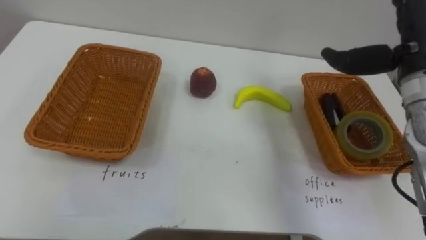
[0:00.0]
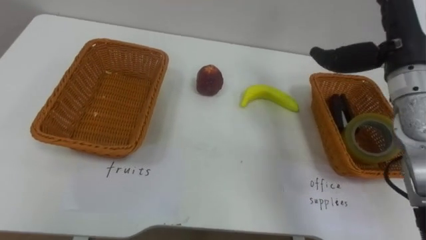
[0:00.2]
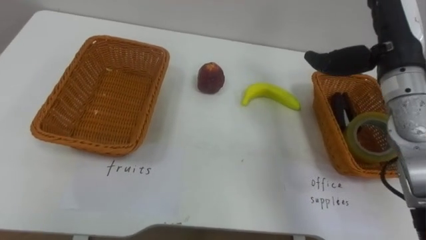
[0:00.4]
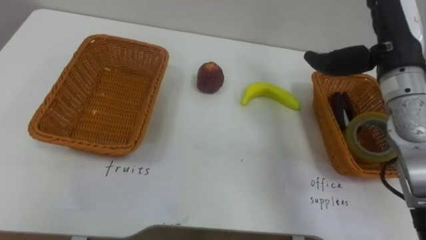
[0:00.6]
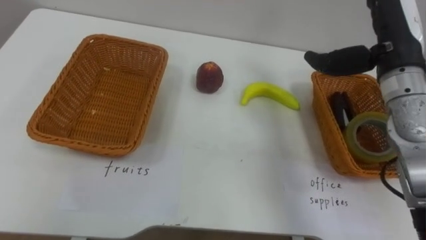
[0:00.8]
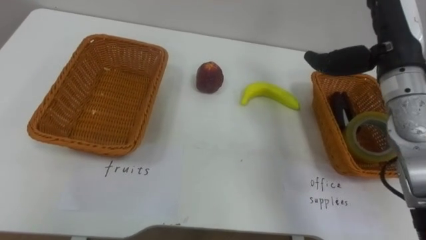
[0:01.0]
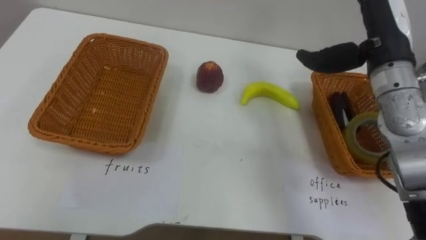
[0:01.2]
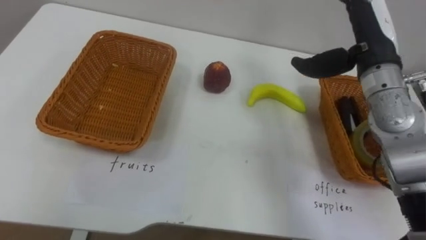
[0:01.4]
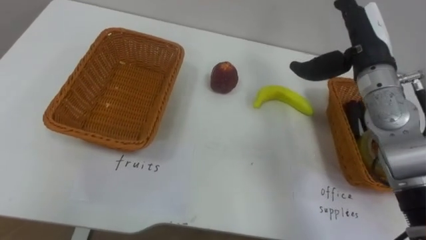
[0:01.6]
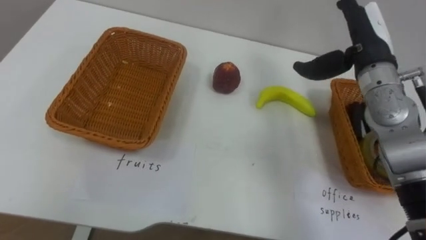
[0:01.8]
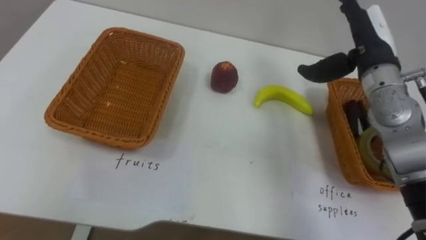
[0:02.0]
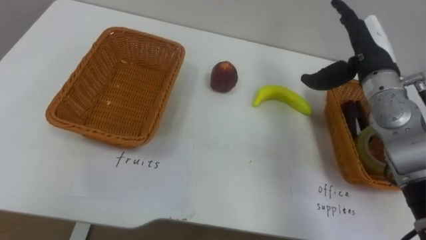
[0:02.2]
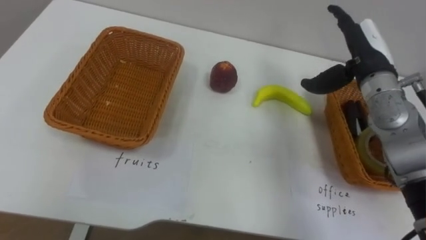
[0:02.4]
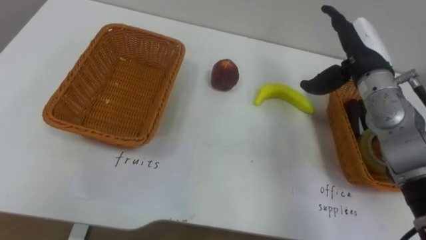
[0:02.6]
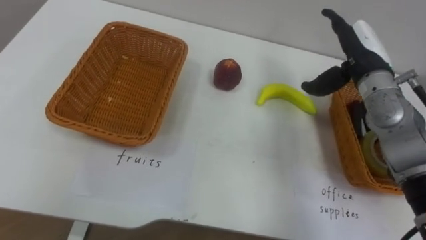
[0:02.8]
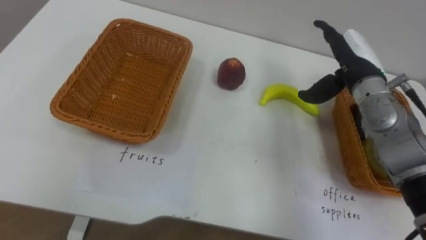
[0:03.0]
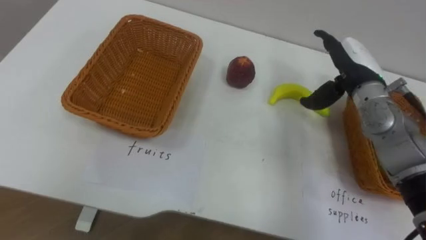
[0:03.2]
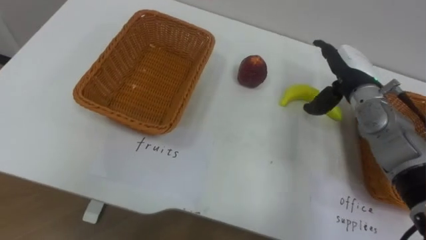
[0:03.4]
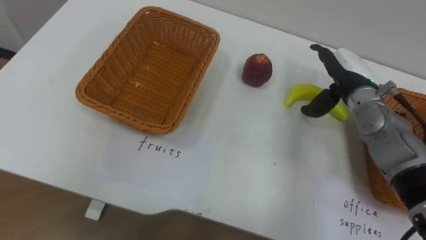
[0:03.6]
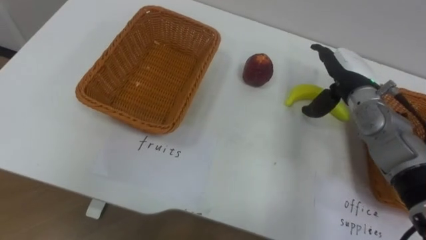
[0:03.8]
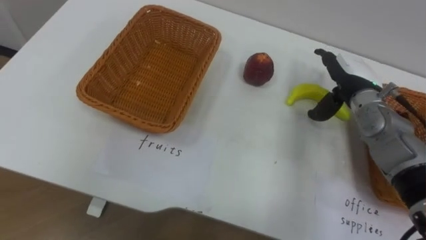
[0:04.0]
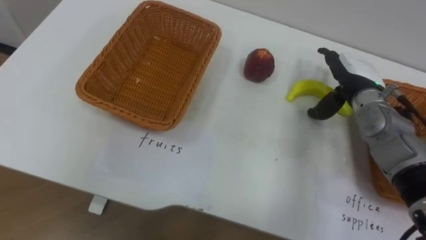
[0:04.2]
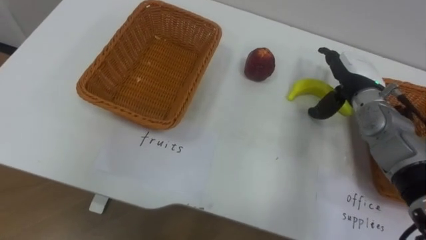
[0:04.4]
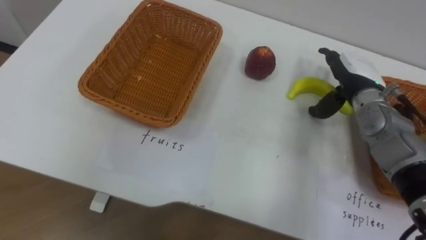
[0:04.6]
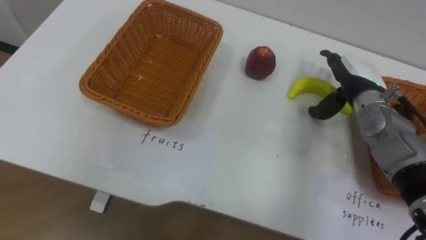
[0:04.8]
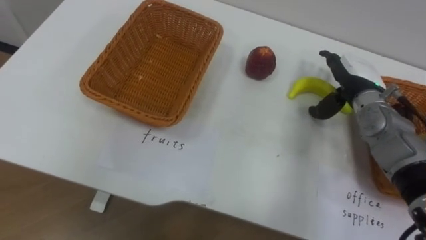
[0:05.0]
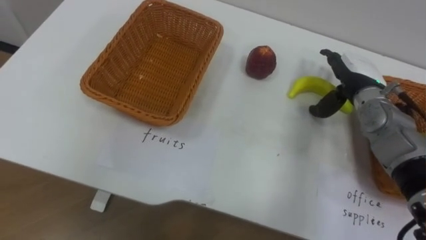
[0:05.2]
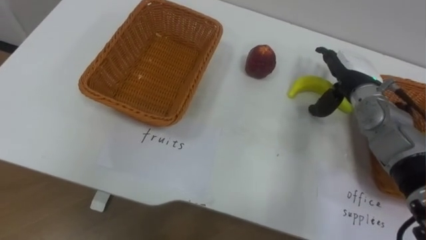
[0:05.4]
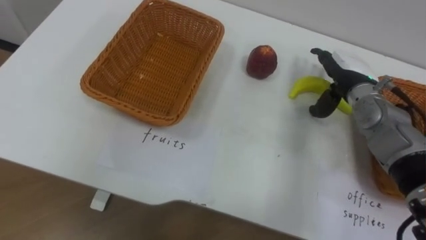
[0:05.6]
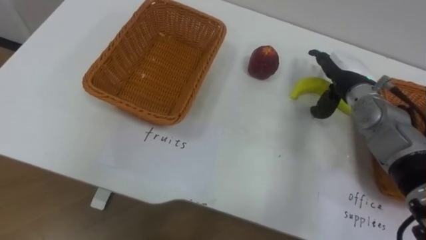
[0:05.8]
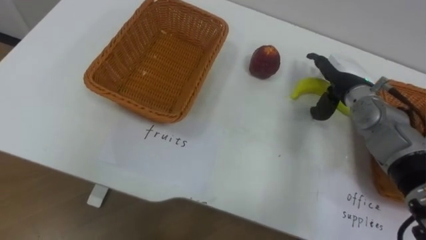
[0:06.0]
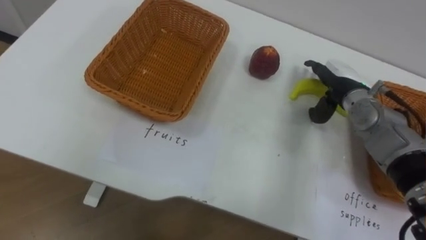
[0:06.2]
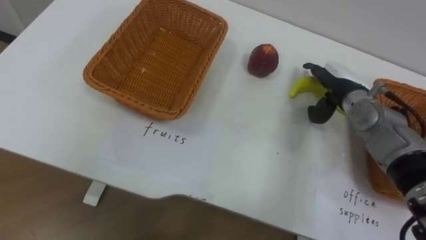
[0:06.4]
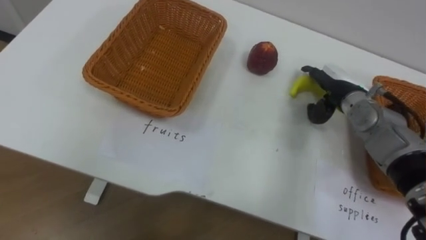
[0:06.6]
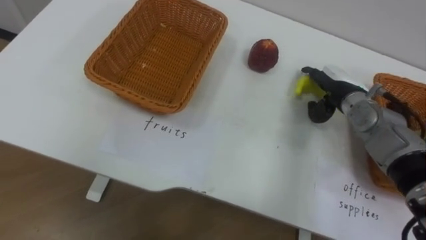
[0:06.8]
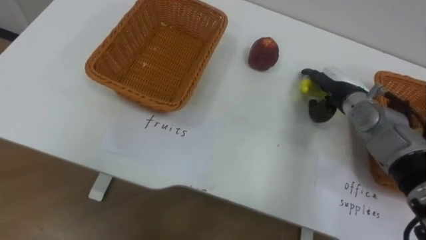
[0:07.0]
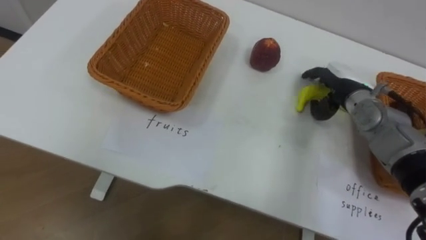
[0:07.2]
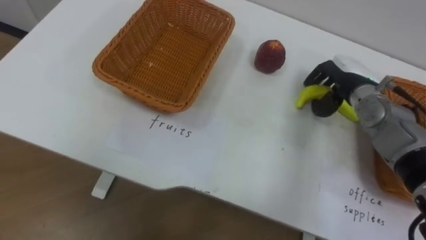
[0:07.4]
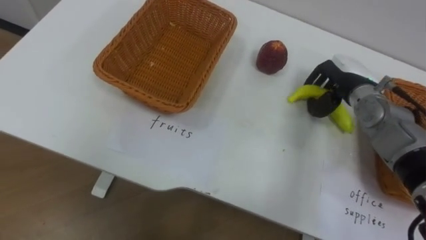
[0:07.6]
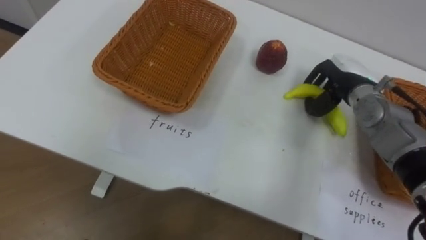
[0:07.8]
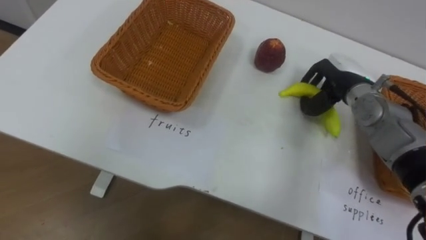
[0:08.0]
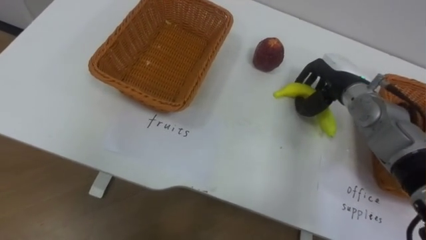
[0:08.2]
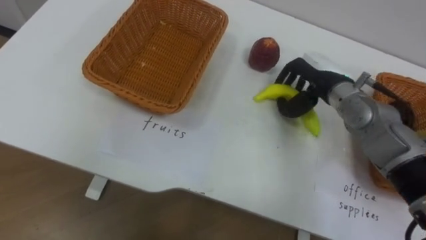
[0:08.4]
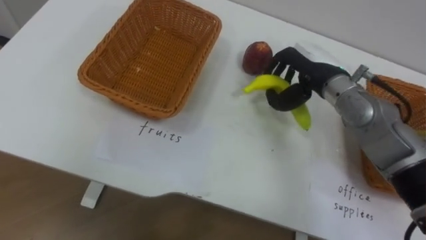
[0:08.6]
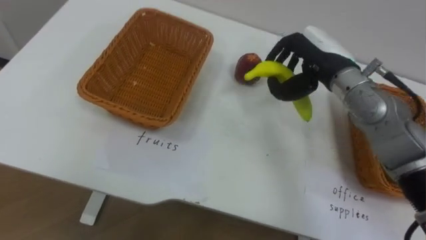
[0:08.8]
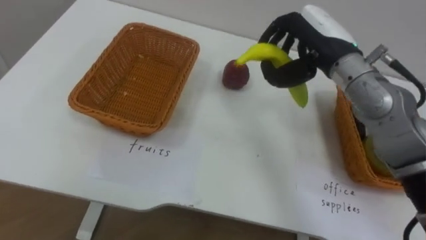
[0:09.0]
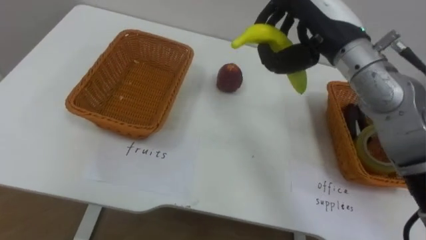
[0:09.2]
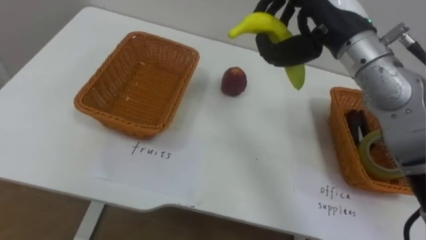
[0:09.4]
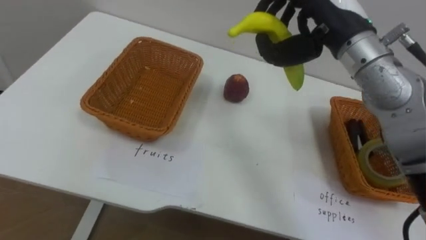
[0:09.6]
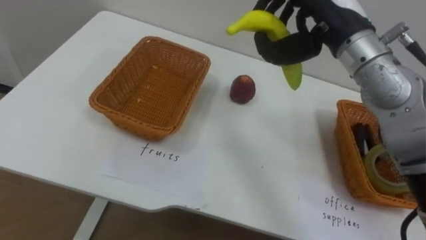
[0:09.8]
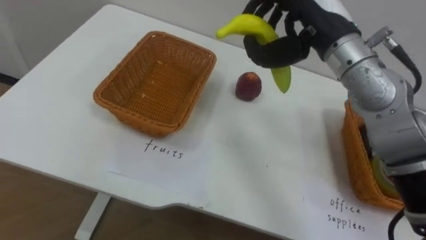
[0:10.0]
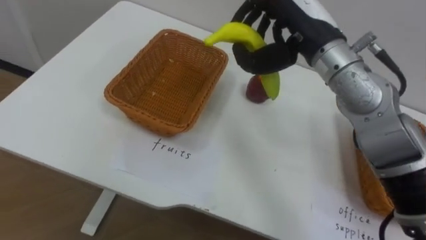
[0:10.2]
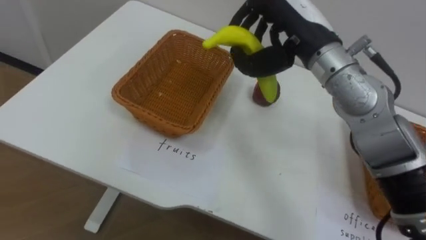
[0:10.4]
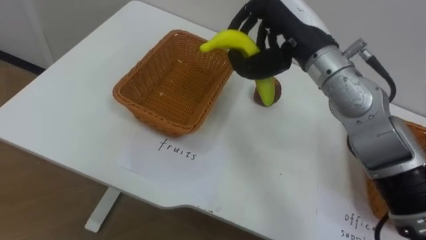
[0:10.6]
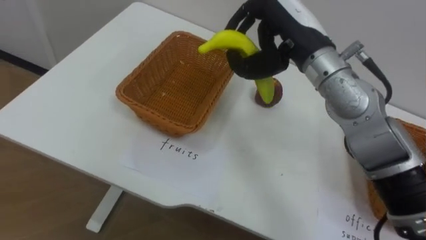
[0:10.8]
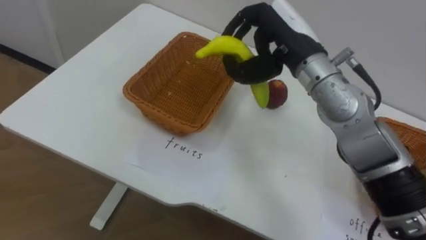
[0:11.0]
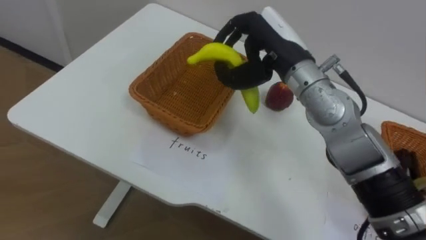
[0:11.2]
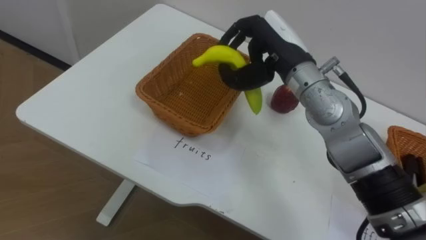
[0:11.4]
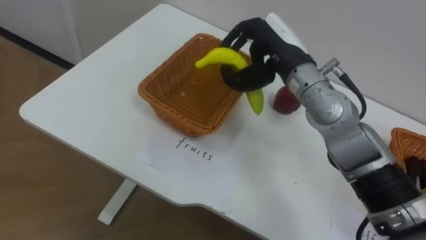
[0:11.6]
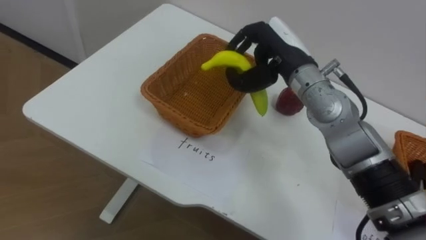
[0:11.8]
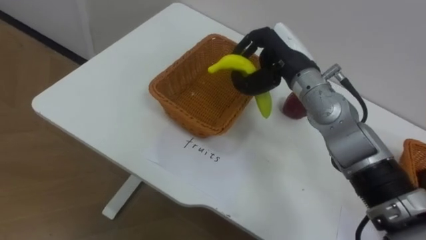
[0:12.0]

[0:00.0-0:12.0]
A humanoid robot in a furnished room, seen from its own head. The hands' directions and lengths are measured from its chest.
Task of the whole recording: Separate the items on the table and place them into the two baskets.
0:00.0 to 0:01.6: The right hand shifts by some 5 cm.
0:01.6 to 0:03.0: The right hand moves about 5 cm.
0:06.0 to 0:07.6: The right hand closes.
0:07.6 to 0:09.0: The right hand travels upward and to the left by some 15 cm.
0:09.0 to 0:10.4: The right hand ends up some 5 cm from where it was.
0:10.4 to 0:12.0: The right hand travels downward by about 5 cm.

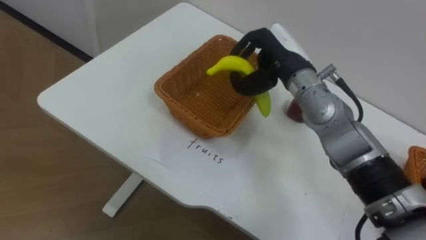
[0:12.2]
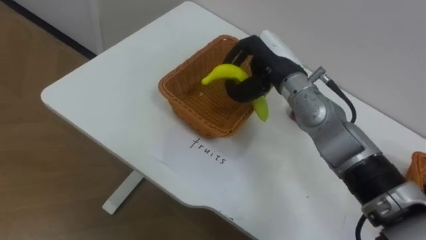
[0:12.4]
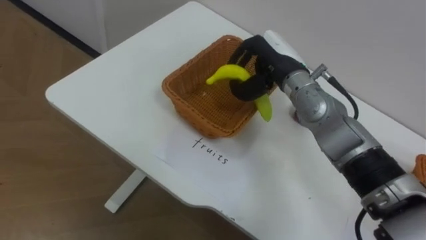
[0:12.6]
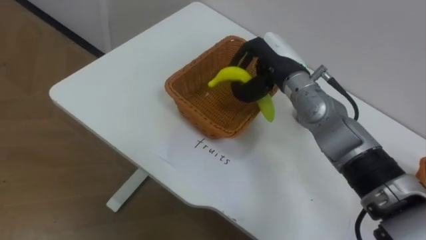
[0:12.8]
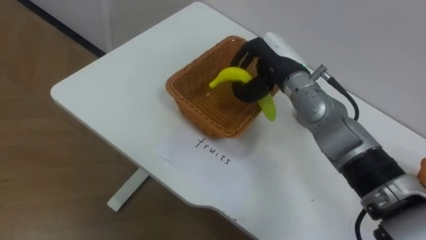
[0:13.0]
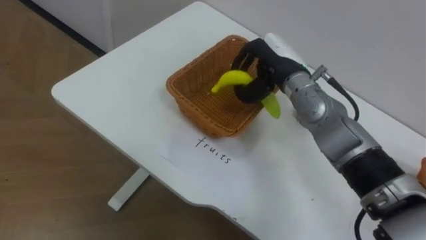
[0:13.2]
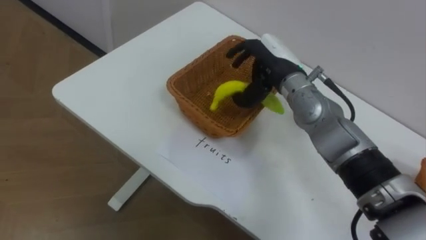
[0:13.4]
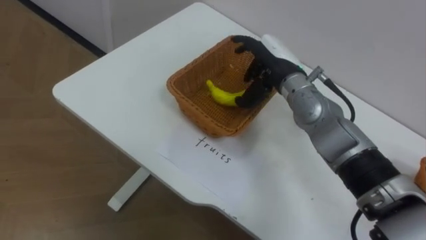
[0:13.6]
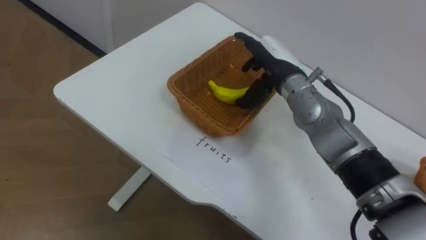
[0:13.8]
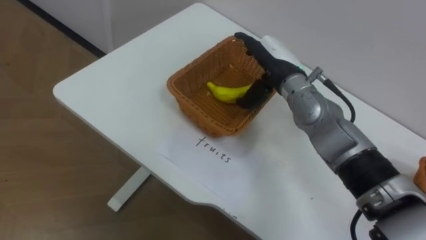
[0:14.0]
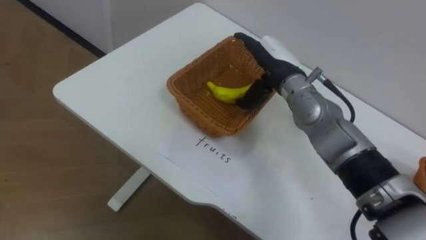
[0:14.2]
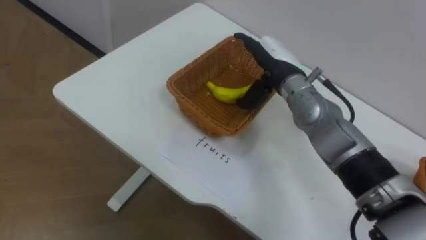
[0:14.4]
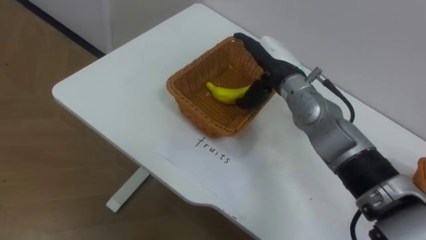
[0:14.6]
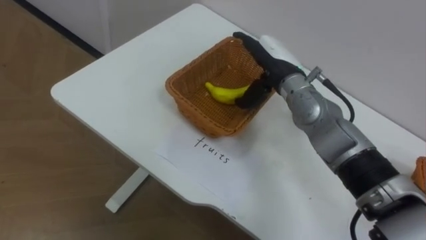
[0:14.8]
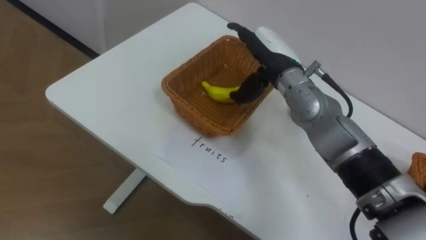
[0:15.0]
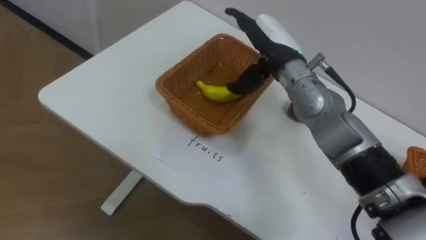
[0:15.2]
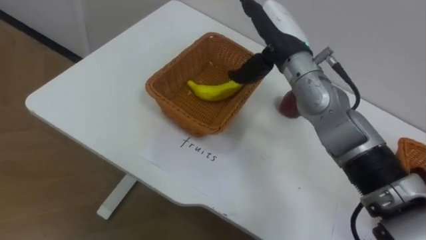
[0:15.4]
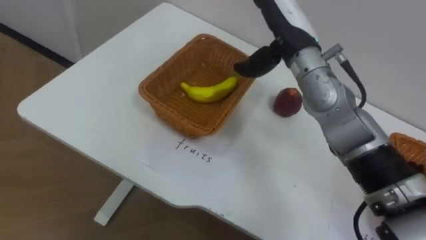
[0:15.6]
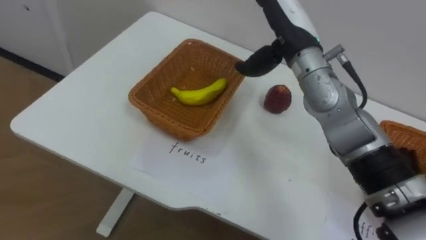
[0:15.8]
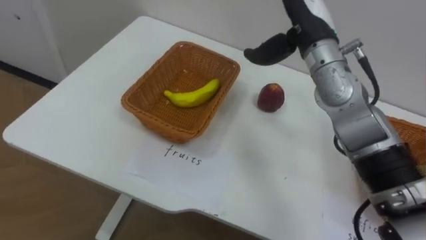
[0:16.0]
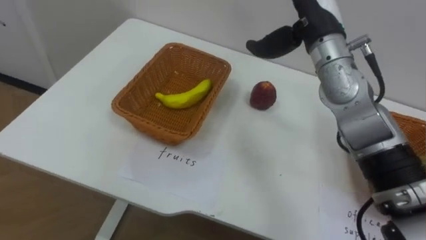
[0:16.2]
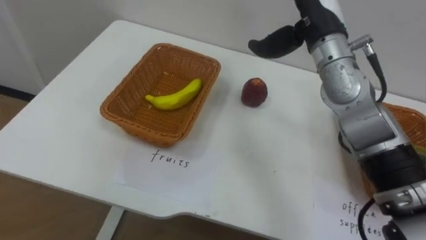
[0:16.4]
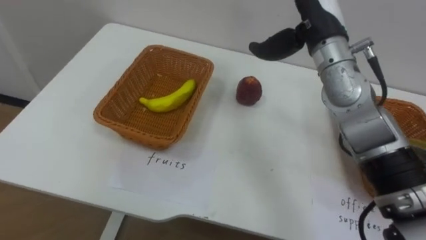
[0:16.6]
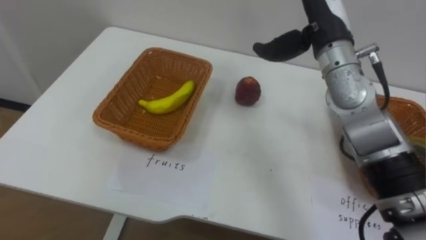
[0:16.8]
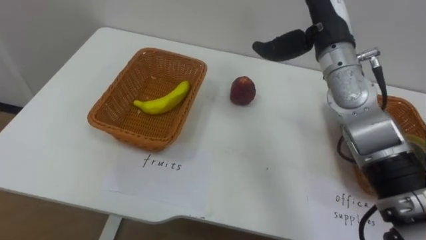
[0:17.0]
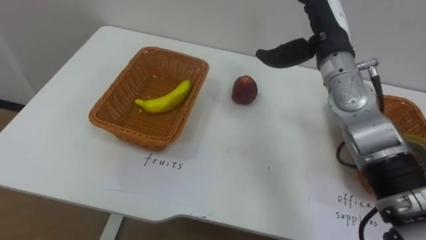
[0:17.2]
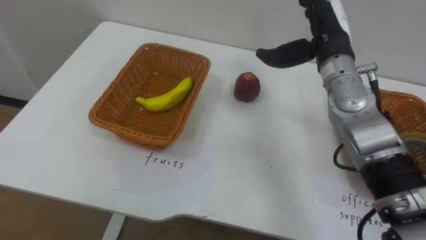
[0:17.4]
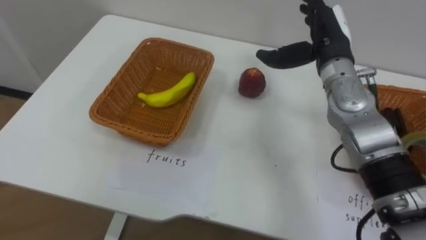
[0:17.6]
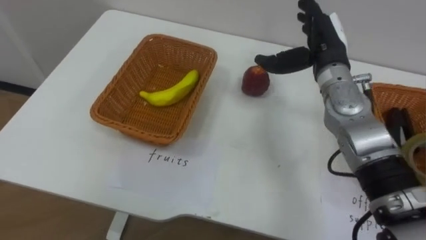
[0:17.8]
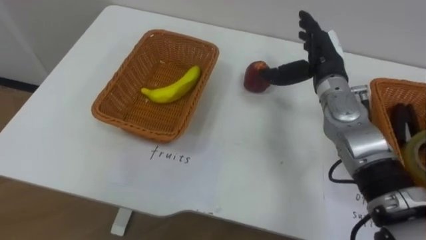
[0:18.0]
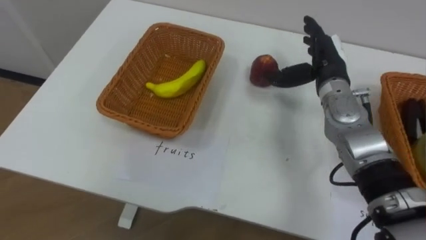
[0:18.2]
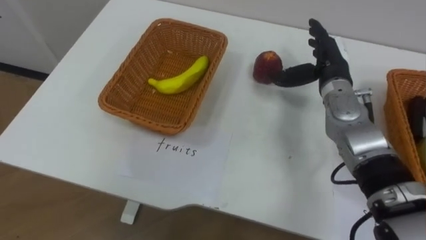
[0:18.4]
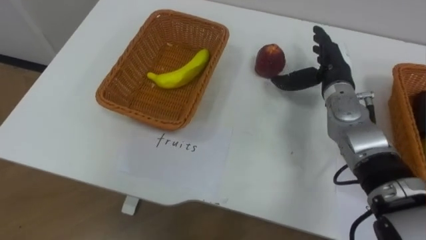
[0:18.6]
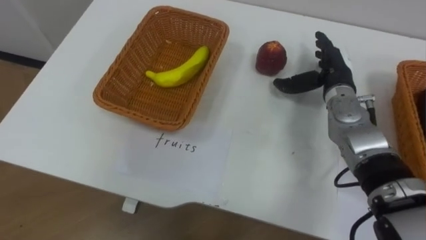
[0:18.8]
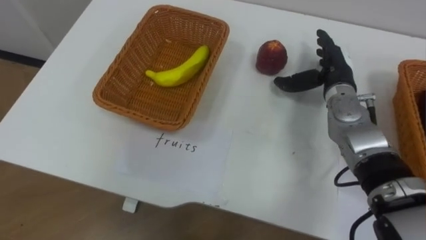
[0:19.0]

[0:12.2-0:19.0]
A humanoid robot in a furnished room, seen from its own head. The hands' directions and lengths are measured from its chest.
Task of the whole recording: Separate the items on the table and place them into the two baskets.
0:12.2 to 0:13.6: The right hand opens up.
0:15.0 to 0:16.2: The right hand moves upward, about 10 cm.
0:16.2 to 0:17.6: The right hand is displaced downward by about 5 cm.
0:17.6 to 0:19.0: The right hand shifts roughly 10 cm downward.
